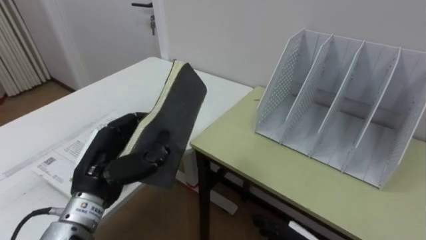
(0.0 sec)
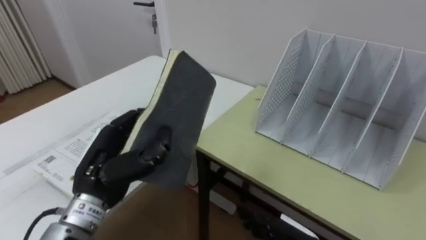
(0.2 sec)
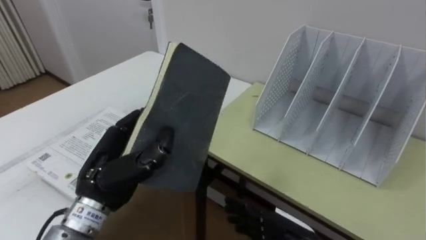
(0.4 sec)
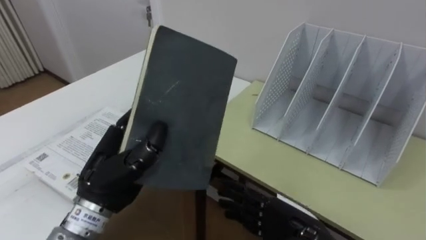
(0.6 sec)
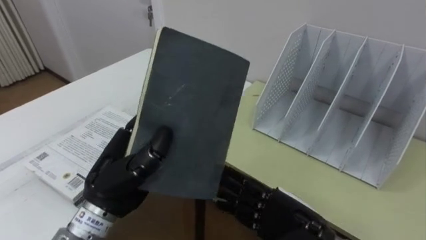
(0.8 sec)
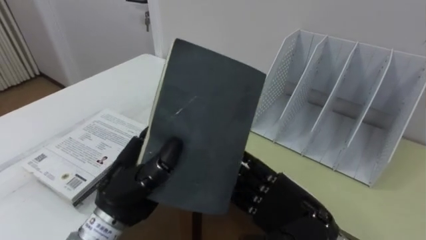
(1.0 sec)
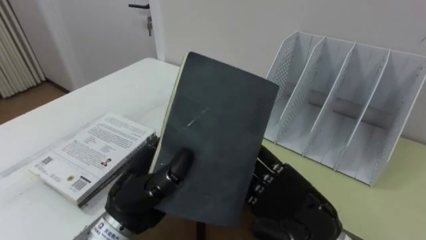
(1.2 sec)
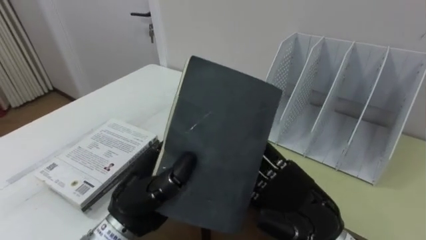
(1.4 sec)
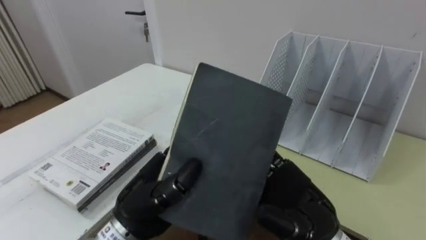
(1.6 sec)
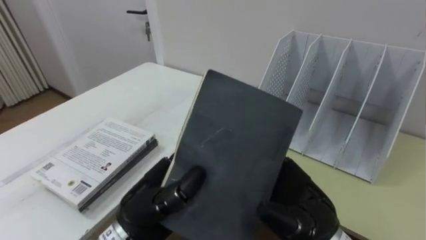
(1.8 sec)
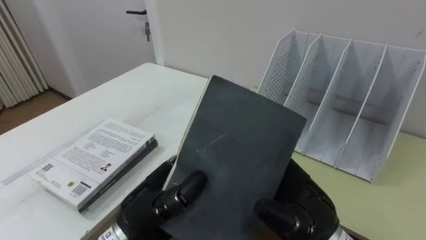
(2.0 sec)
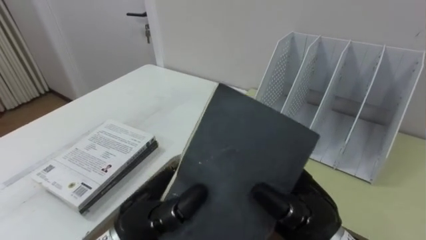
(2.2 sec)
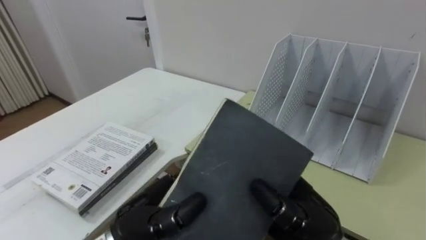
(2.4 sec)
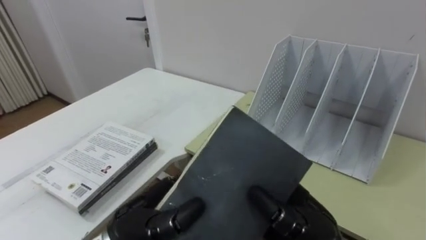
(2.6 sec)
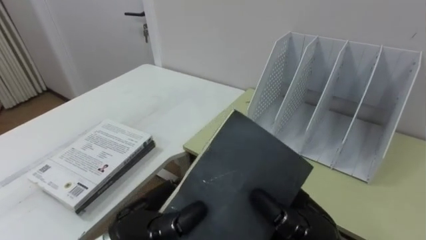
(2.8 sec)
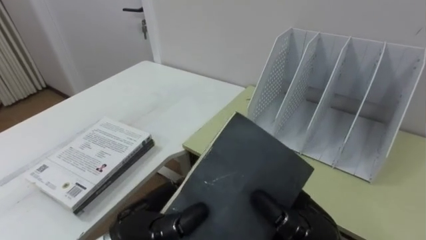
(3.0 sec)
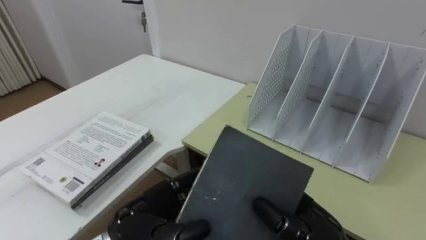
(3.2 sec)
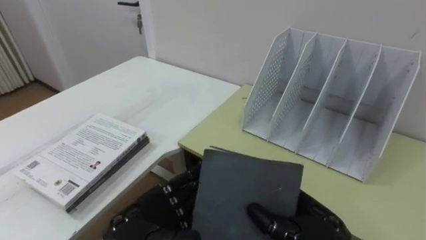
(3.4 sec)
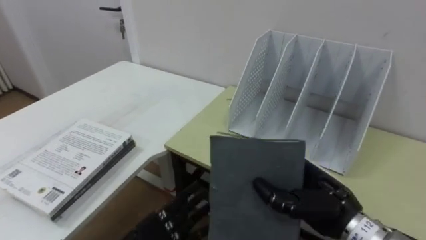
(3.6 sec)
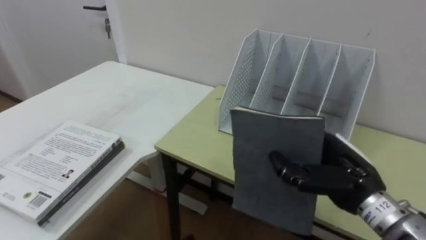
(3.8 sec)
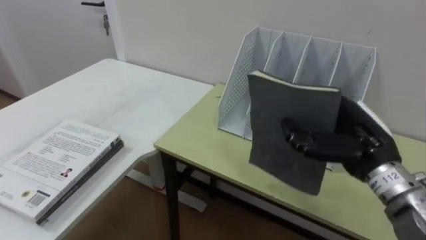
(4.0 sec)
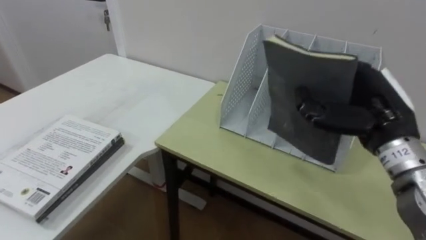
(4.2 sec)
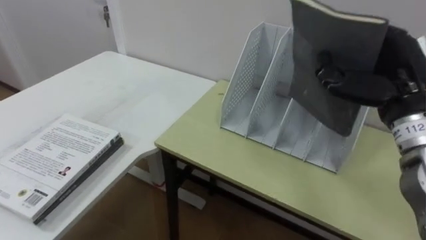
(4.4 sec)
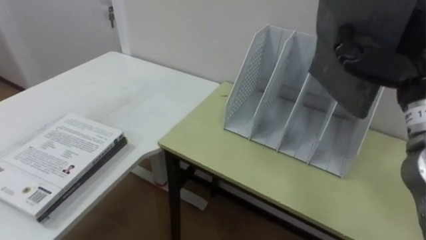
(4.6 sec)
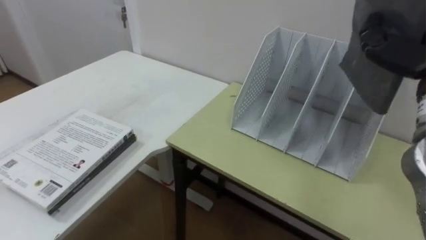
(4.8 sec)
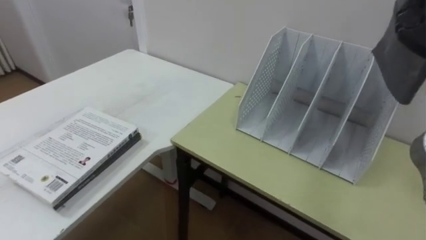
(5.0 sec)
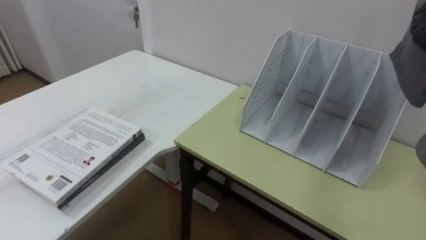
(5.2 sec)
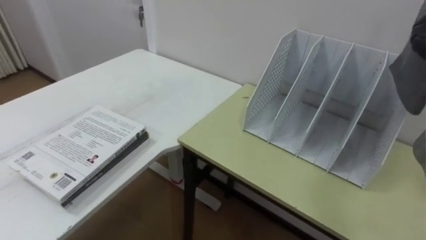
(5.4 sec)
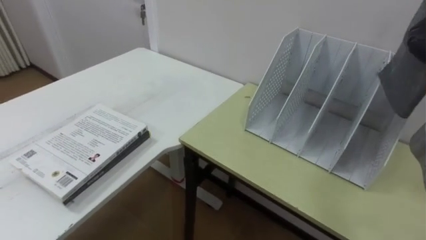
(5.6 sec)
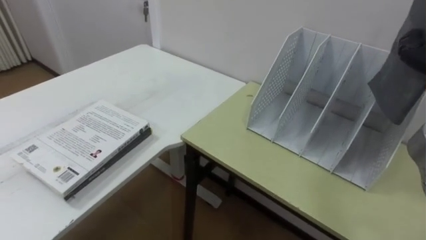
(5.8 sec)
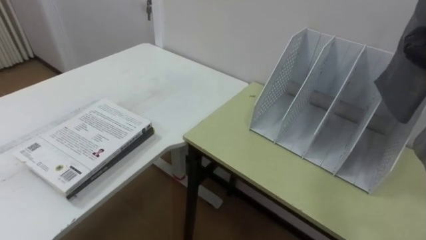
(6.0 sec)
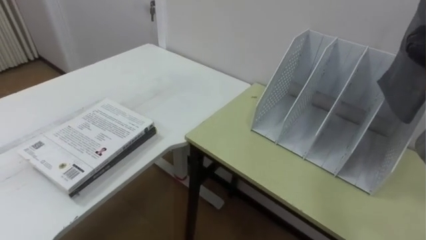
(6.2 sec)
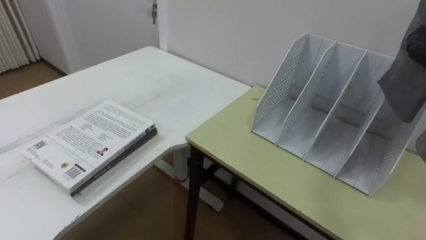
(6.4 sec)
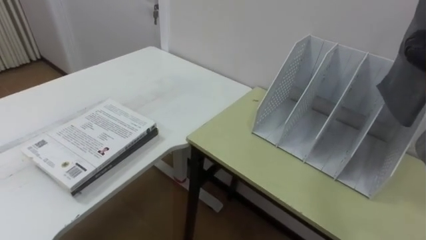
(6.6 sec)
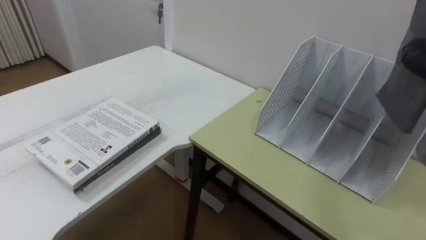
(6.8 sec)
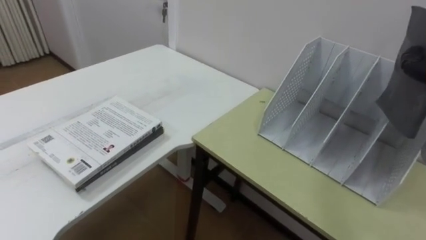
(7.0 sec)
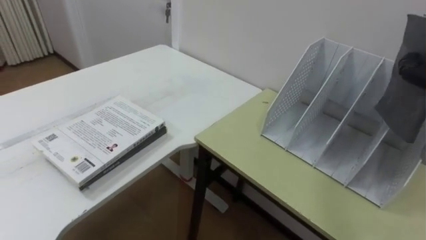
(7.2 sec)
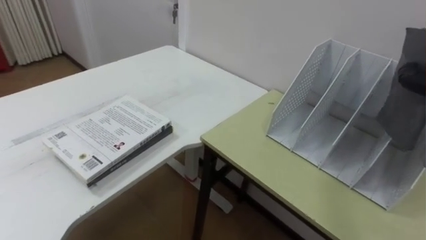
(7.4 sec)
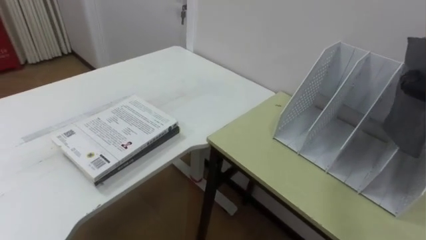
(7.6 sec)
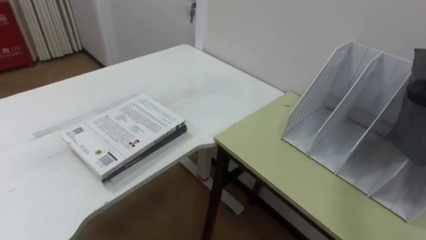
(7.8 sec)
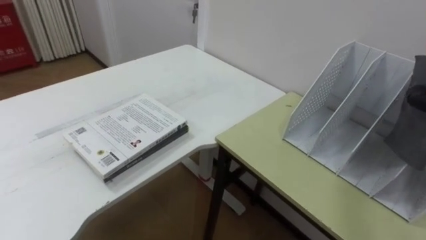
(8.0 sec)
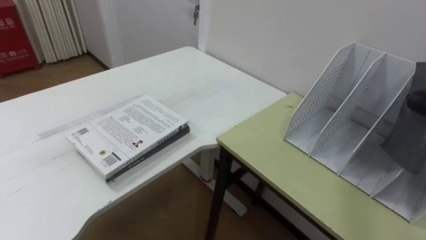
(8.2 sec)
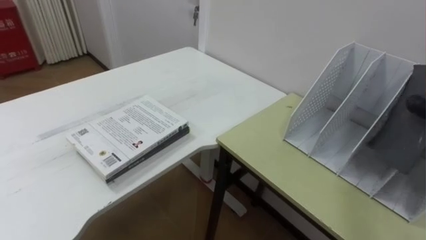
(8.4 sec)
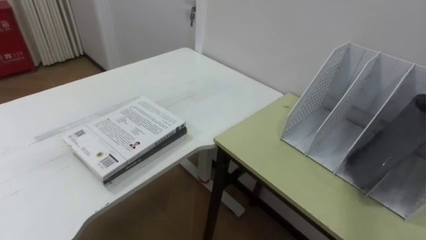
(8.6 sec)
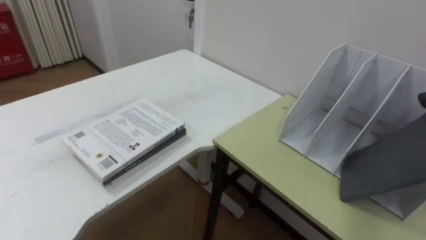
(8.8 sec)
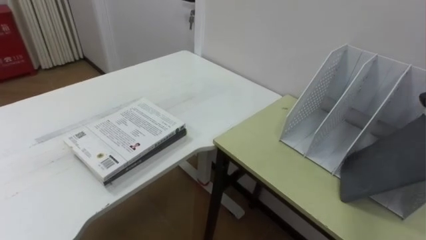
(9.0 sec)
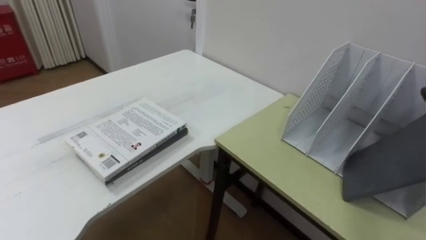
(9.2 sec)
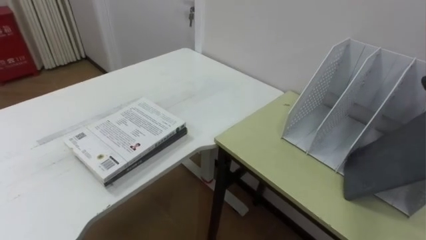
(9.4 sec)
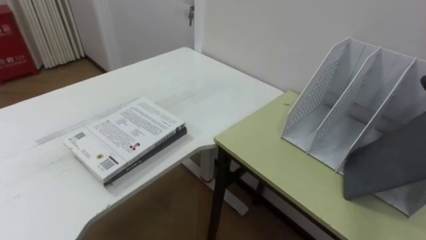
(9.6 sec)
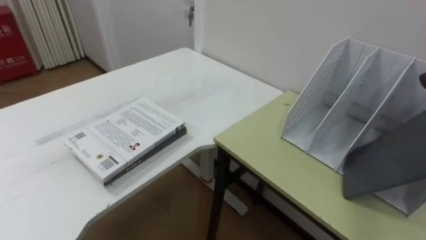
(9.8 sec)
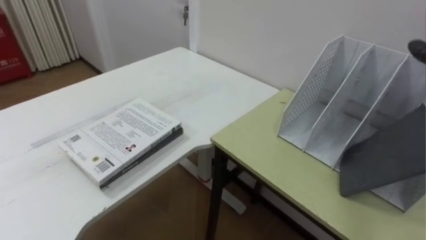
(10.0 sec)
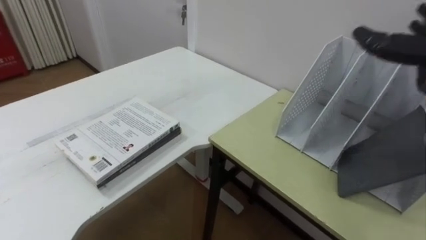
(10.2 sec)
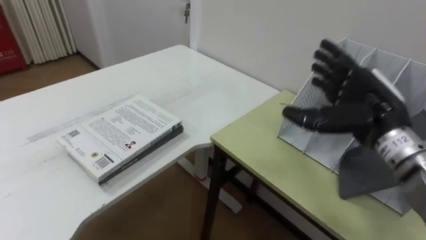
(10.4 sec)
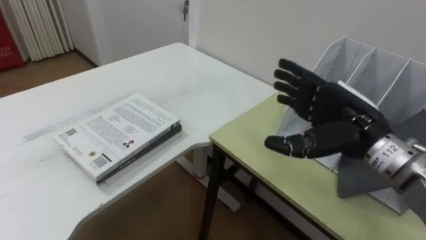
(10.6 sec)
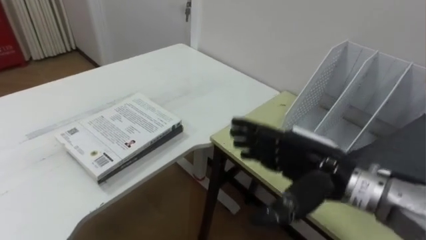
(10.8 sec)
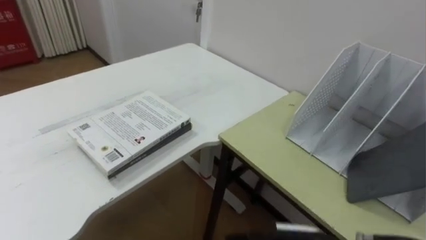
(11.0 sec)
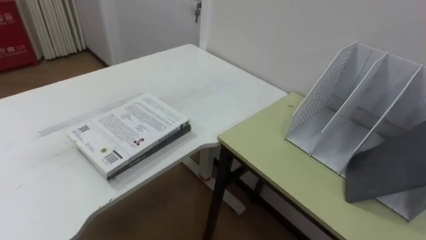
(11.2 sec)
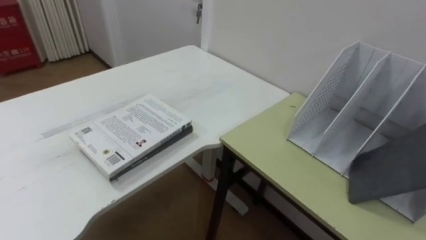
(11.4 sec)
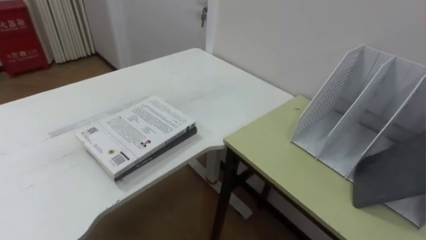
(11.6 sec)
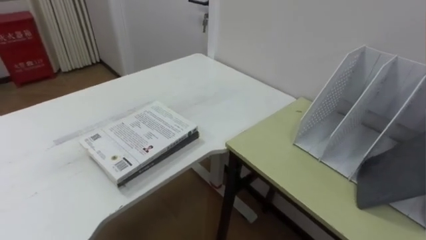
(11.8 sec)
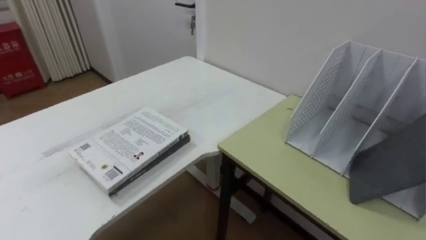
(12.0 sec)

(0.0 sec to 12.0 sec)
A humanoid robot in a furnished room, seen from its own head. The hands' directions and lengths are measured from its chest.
Task of the whole recording: Put the books on the table onto the bookshelf.
0.0 sec - 1.6 sec: The left hand heads to the right, covering approximately 10 cm. The right hand shifts about 15 cm upward.
1.6 sec - 3.0 sec: The right hand closes.
3.0 sec - 4.4 sec: The right hand goes about 25 cm upward, to the right and forward.
